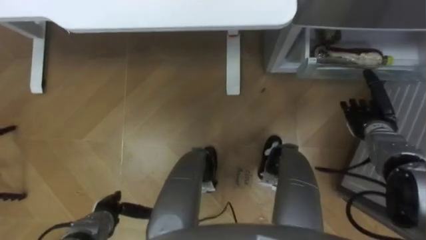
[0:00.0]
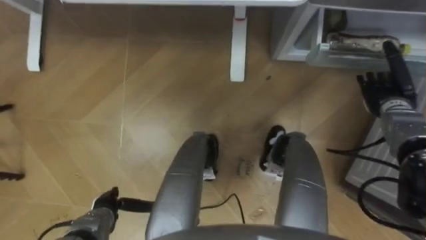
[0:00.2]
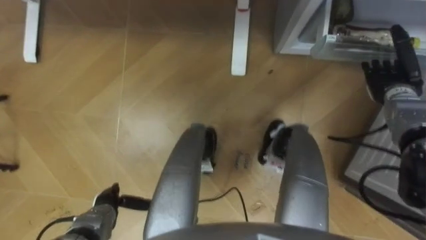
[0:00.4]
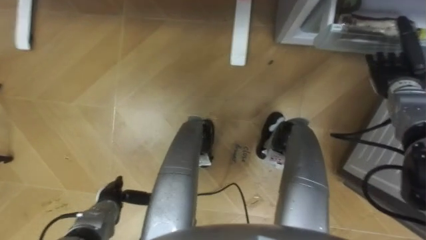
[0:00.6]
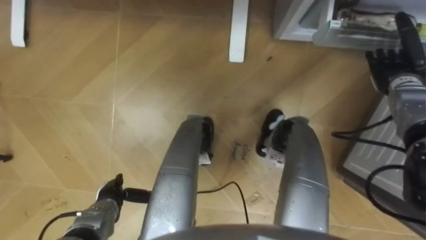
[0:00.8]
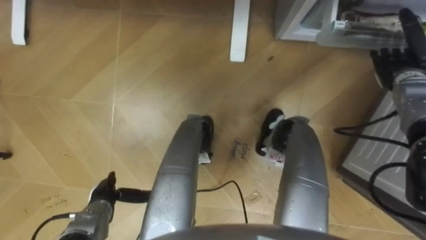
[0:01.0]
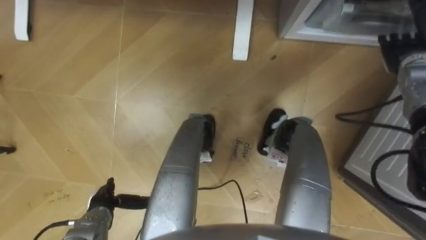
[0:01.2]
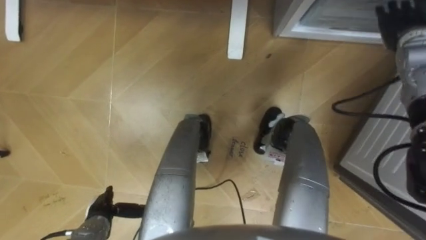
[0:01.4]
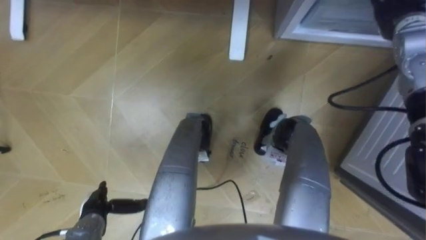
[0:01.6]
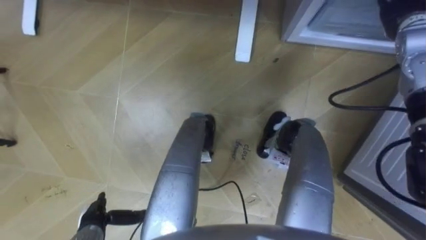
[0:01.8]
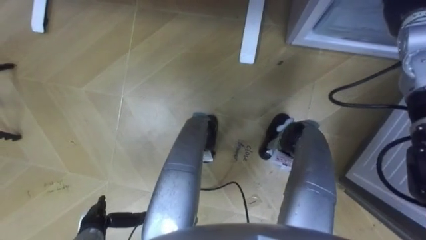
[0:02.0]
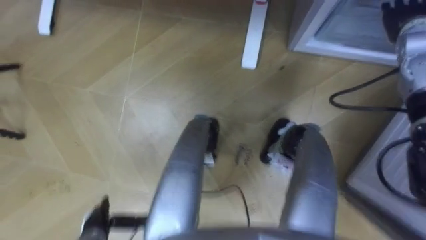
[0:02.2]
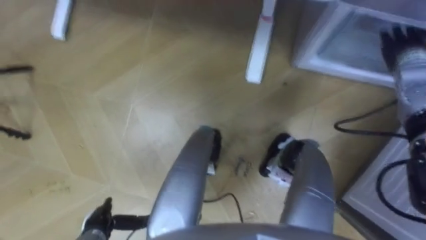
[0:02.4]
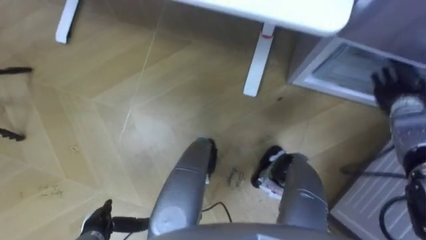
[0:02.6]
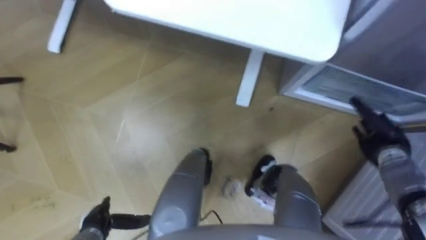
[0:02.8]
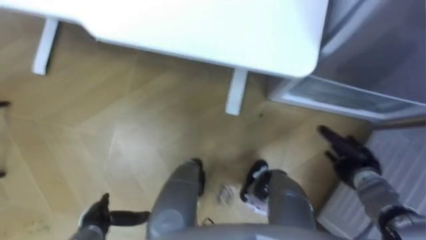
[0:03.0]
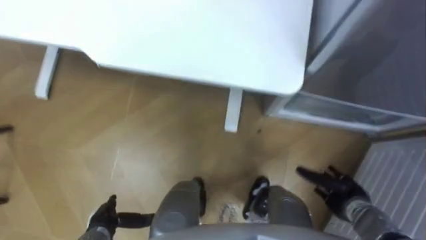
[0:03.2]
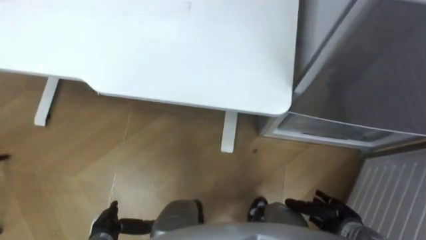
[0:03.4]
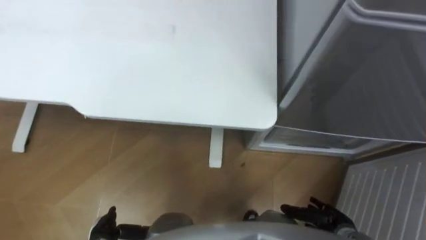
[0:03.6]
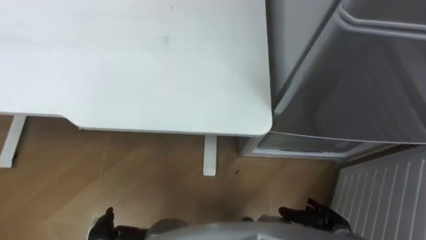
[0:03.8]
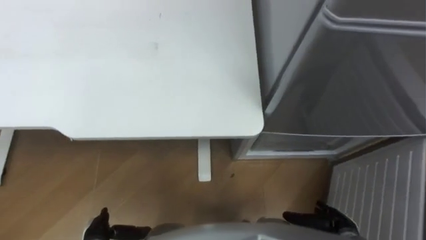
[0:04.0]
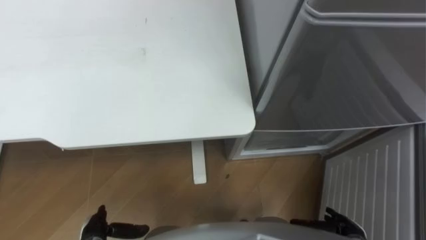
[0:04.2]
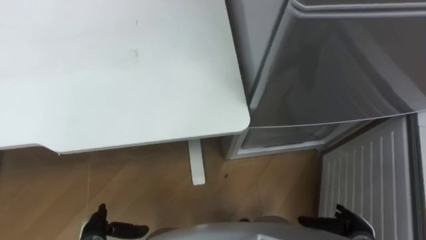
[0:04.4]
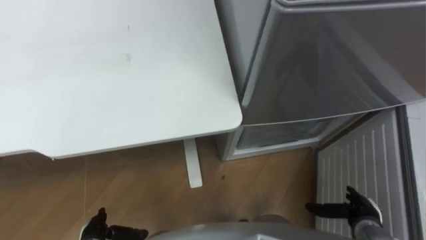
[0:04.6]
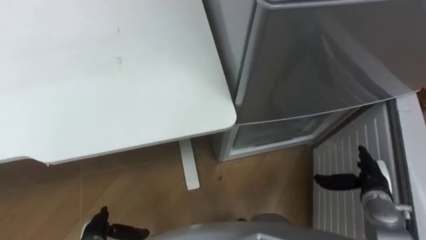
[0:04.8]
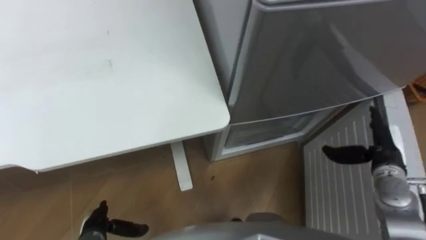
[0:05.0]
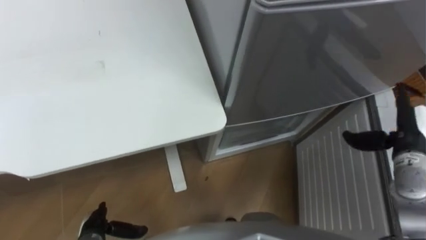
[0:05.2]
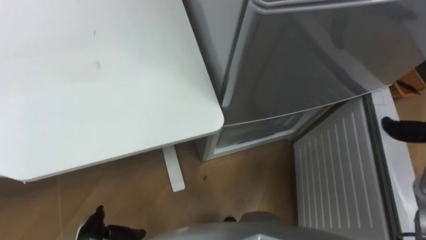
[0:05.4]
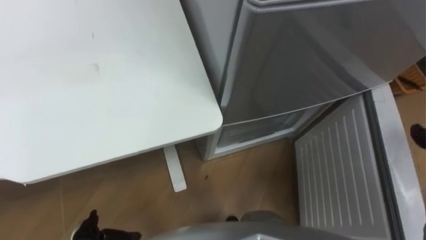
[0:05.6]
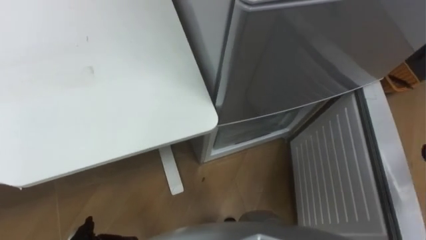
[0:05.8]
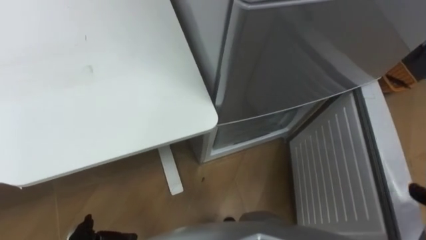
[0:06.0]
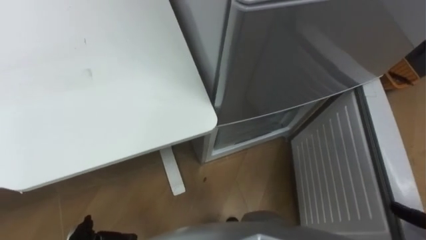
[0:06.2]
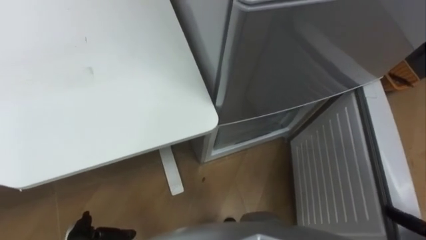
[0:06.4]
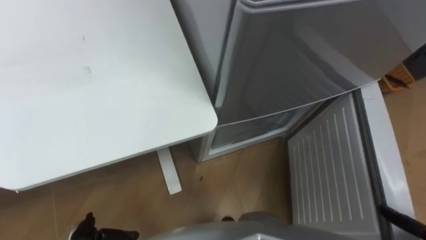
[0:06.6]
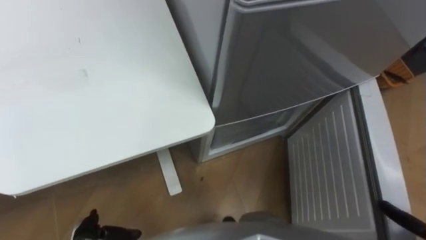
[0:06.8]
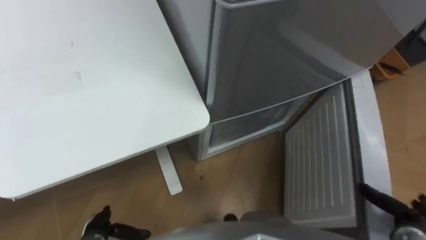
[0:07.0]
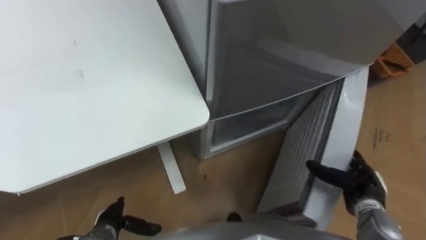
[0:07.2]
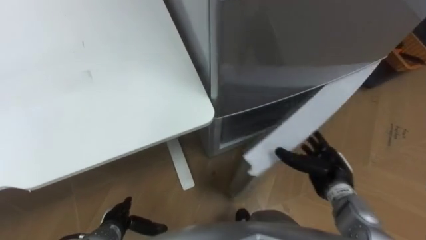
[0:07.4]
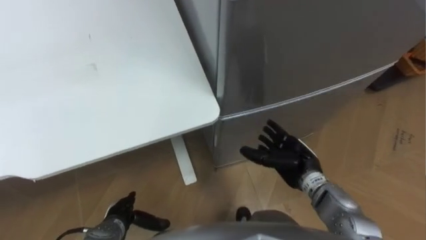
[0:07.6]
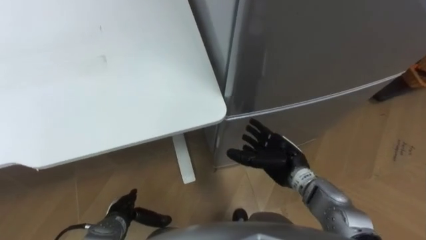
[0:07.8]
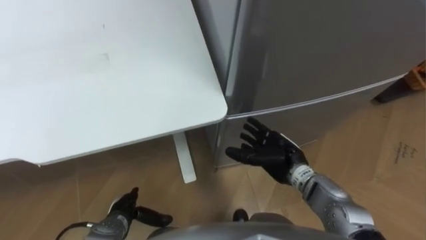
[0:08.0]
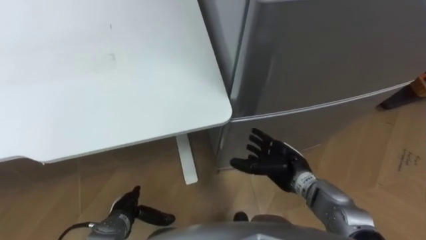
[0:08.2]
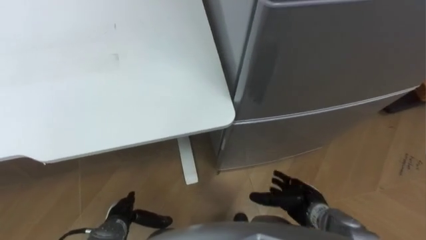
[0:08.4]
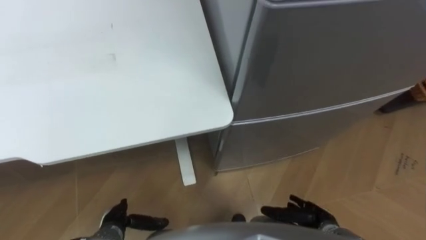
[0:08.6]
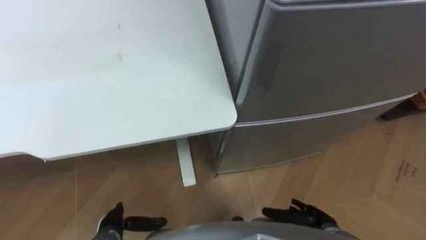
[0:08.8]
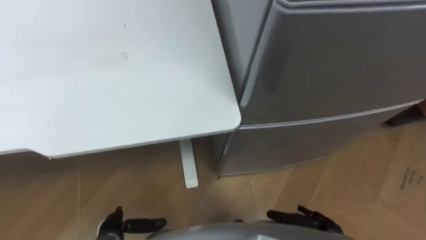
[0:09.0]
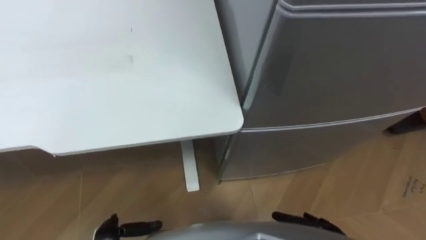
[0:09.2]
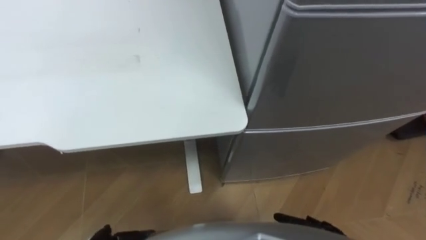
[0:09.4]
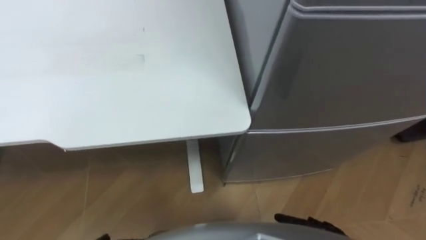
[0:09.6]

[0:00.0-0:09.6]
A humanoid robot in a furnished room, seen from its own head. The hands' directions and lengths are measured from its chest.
Task of the whole recording: Place the drink on the table on the bottom shelf of the refrigerator, then close the drawer and the refrigerator door.
0:00.0 to 0:01.6: The right hand heads upward and forward, covering about 25 cm.
0:01.6 to 0:03.2: The right hand goes some 40 cm backward and downward.
0:03.2 to 0:04.8: The right hand moves roughly 10 cm backward and comes back.

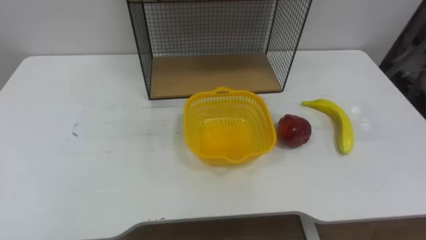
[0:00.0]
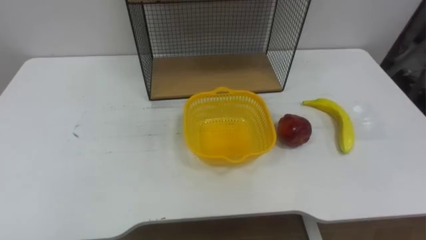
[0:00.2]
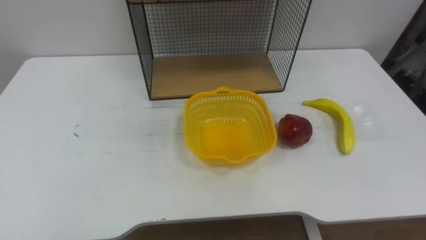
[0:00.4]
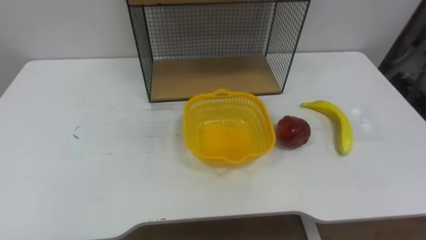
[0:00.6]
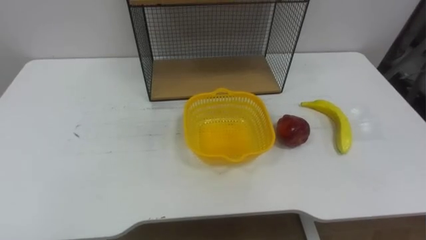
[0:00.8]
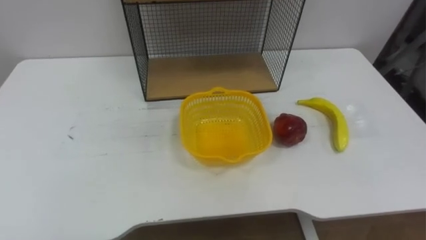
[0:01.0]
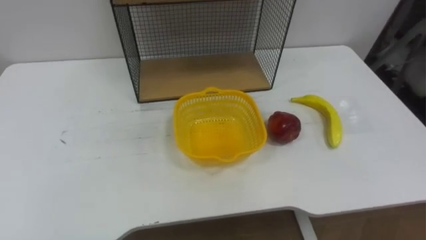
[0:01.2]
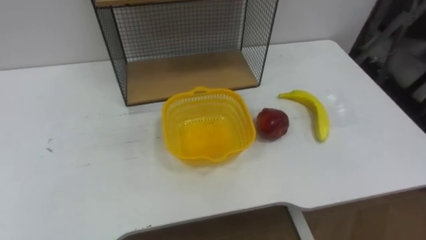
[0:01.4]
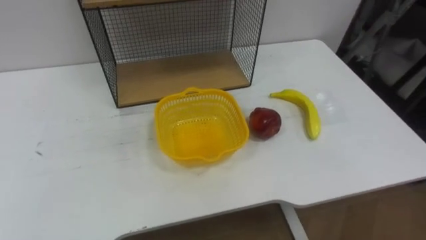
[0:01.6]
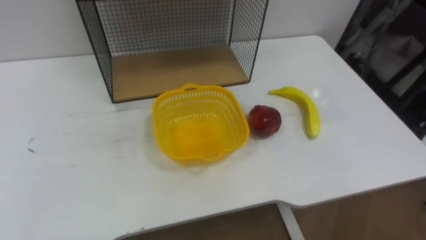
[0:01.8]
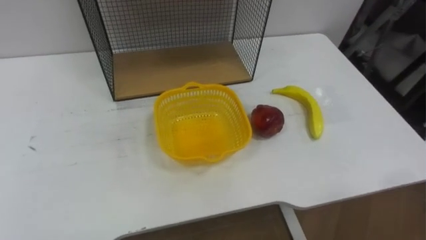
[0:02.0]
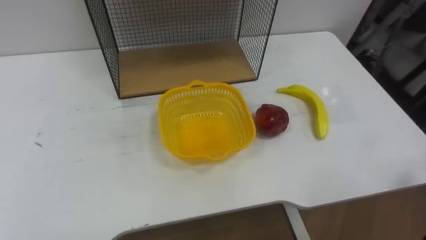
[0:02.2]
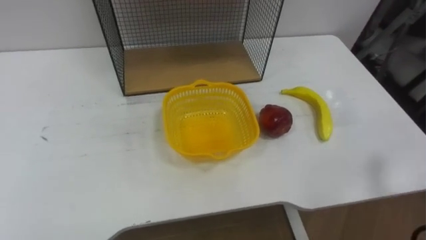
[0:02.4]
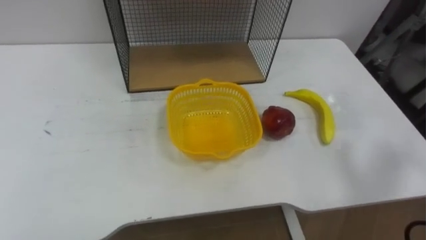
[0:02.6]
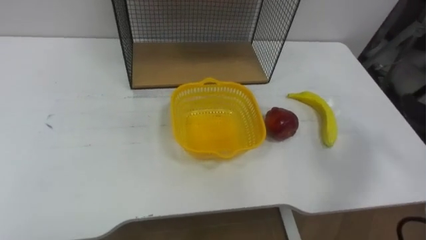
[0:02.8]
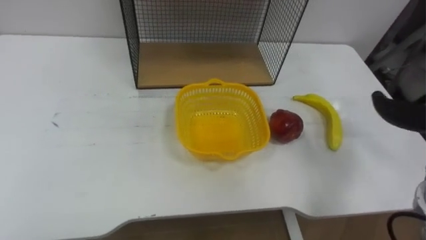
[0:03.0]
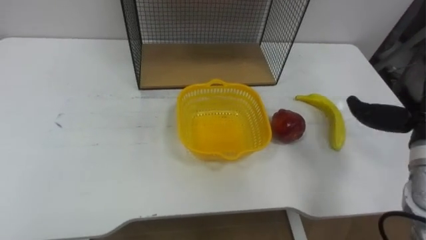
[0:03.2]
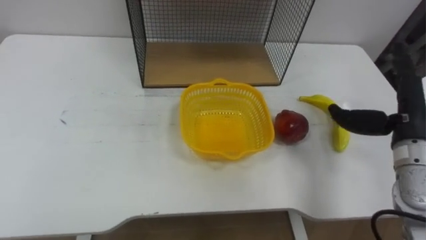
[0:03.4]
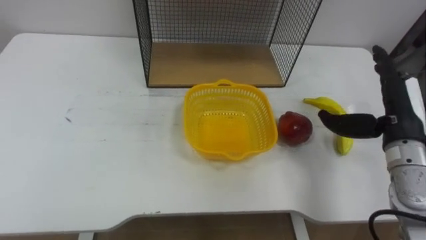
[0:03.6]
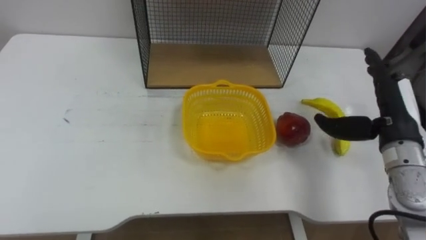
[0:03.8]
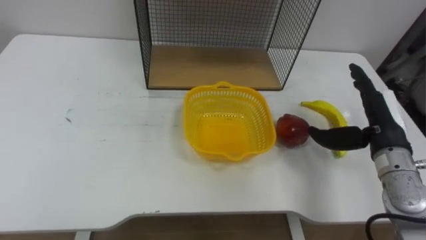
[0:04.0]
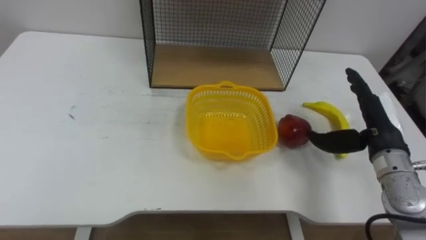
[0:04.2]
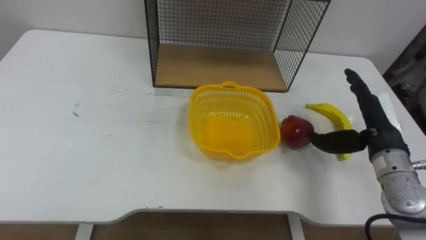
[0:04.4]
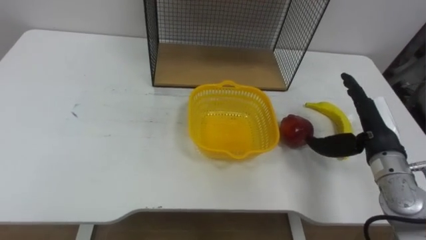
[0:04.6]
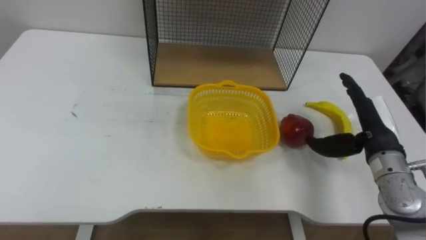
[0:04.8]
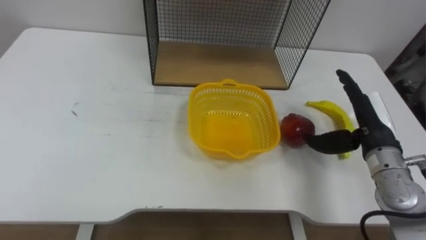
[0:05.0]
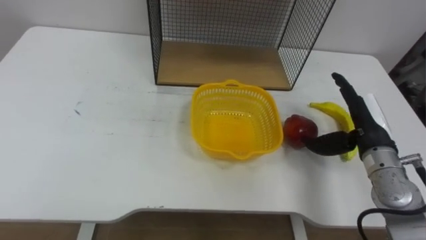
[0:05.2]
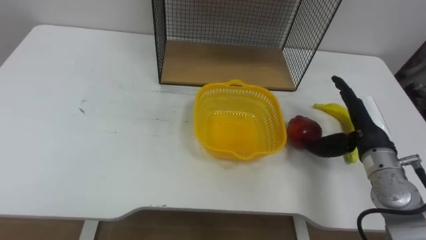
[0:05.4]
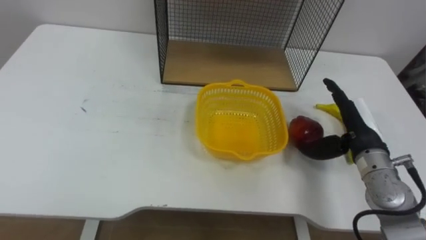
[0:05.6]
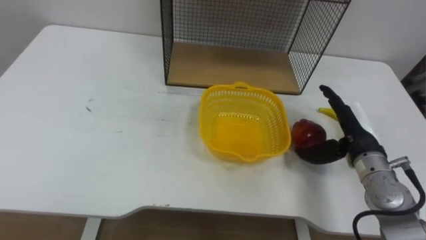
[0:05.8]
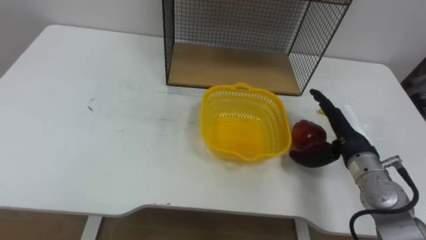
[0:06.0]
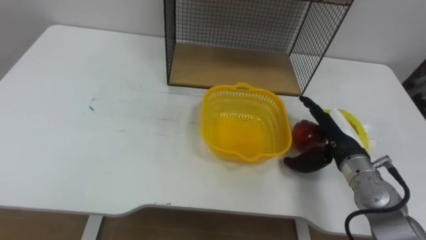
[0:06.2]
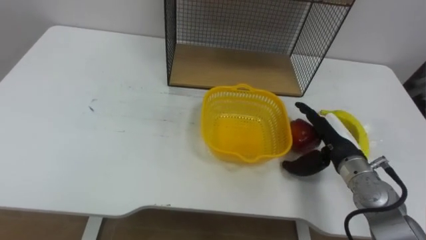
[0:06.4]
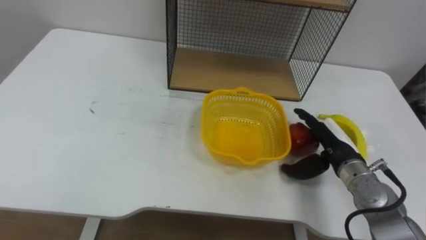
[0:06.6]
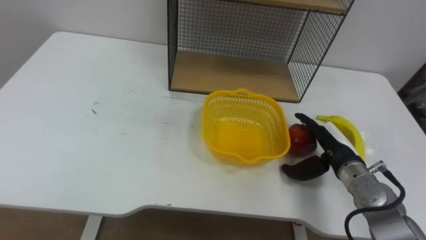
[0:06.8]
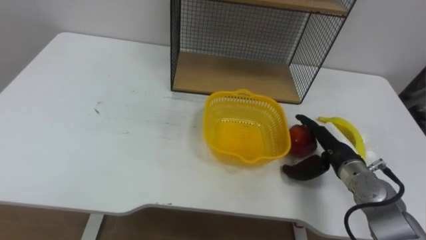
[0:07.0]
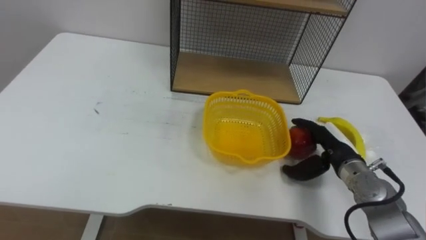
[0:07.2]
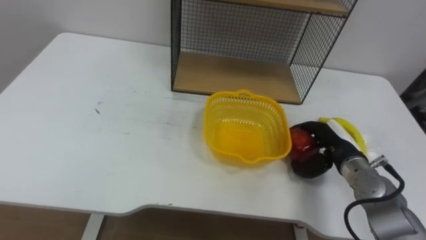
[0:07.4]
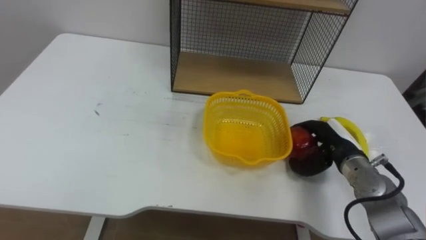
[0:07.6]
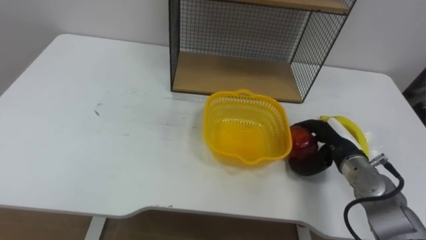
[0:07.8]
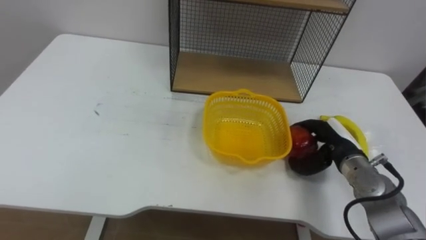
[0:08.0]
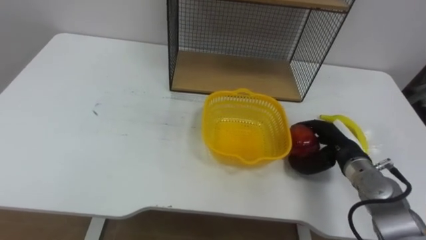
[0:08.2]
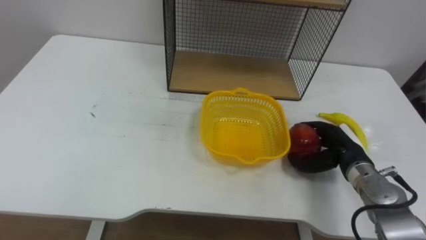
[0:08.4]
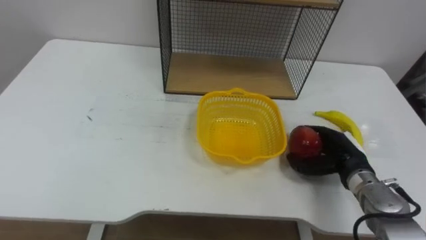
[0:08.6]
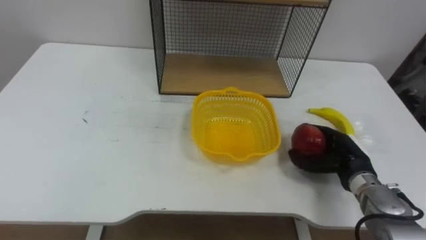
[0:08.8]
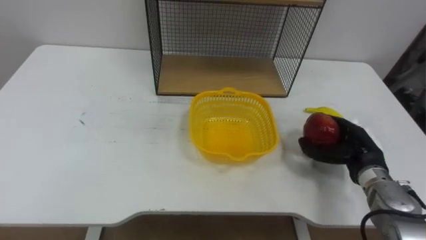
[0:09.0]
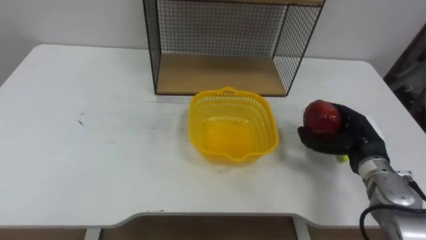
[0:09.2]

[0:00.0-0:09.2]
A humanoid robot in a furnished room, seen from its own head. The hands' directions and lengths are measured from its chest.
Task of the whole recording: Put the fruit on the table into the basket, then place the basket on the shelf.
0:04.6 to 0:06.2: The right hand ends up some 5 cm from where it was.
0:06.2 to 0:07.6: The right hand closes.
